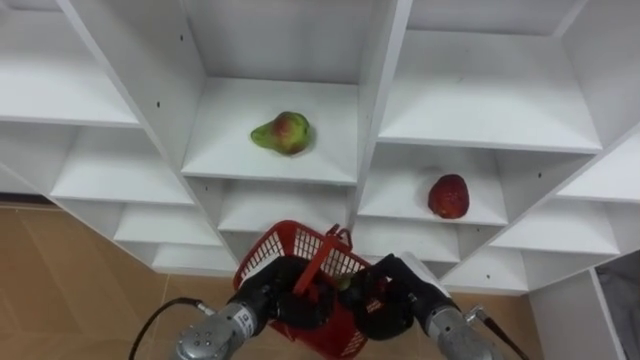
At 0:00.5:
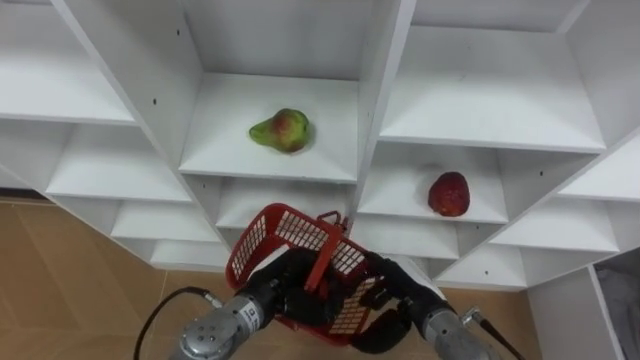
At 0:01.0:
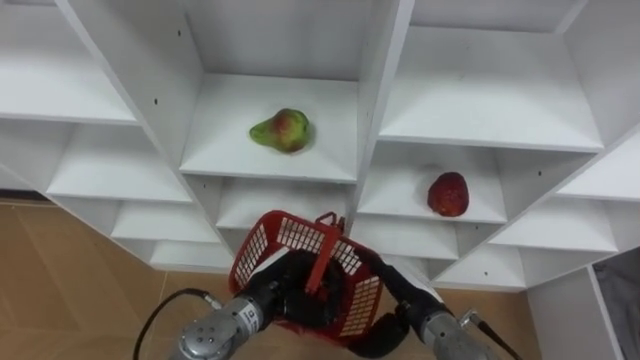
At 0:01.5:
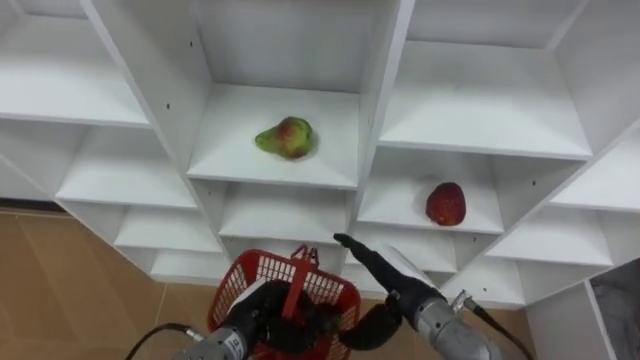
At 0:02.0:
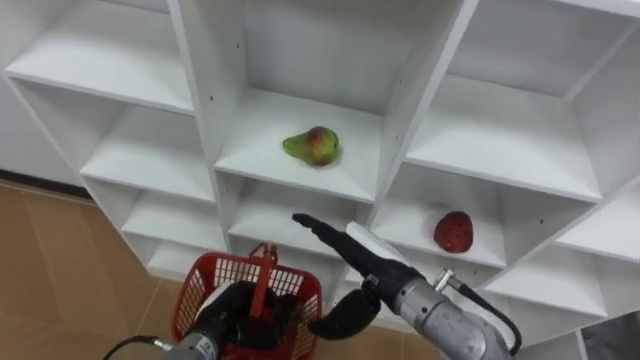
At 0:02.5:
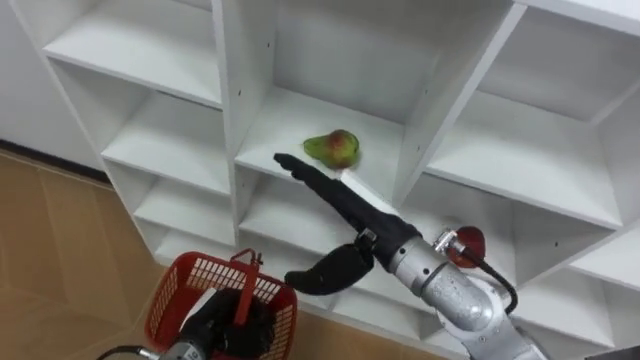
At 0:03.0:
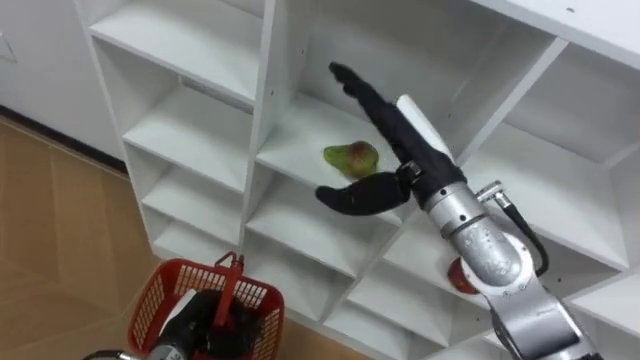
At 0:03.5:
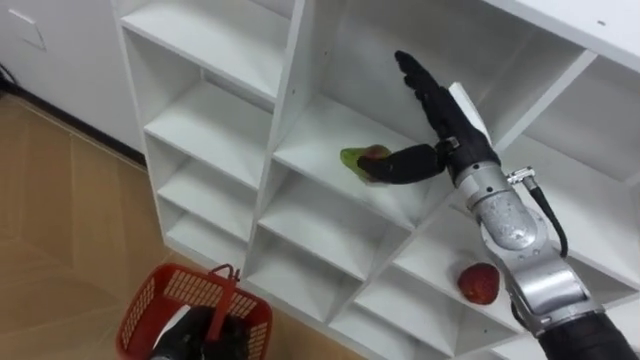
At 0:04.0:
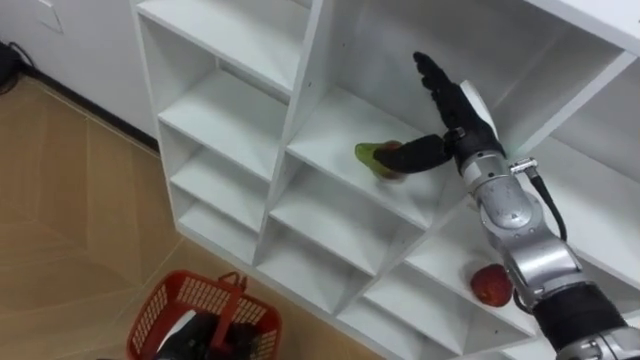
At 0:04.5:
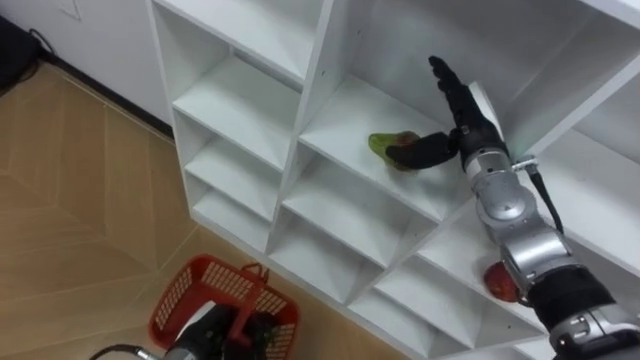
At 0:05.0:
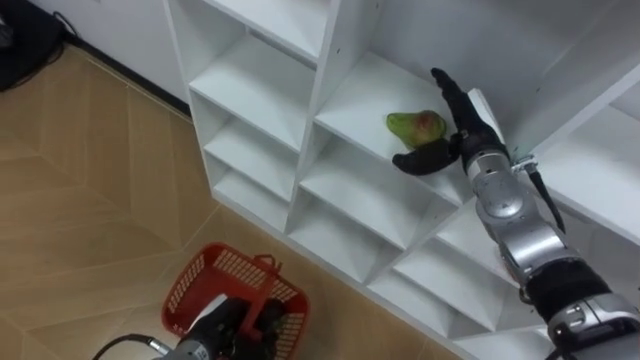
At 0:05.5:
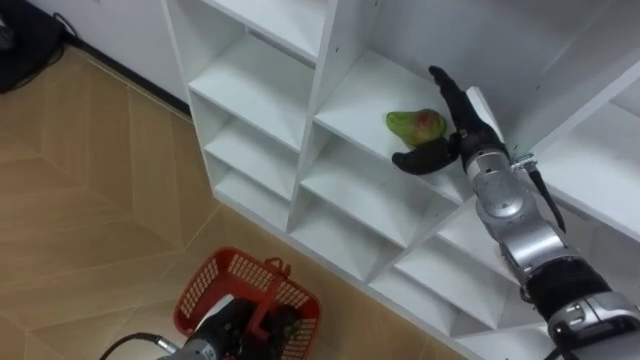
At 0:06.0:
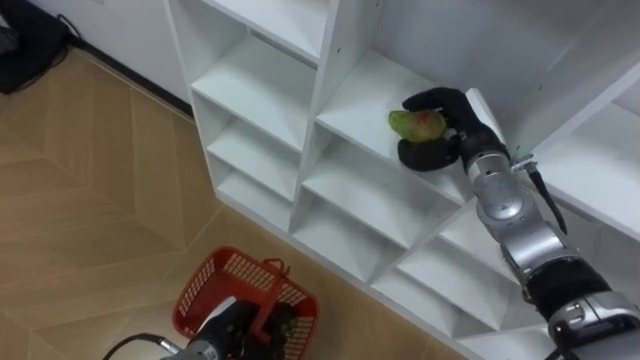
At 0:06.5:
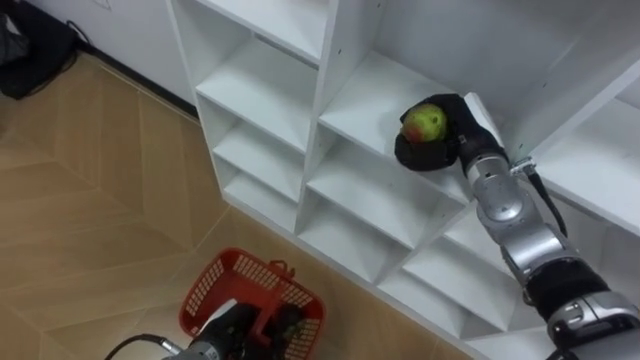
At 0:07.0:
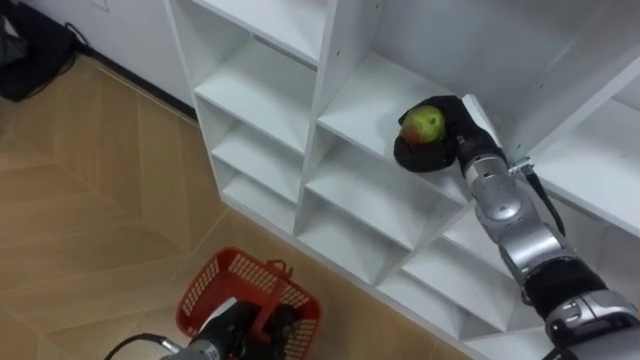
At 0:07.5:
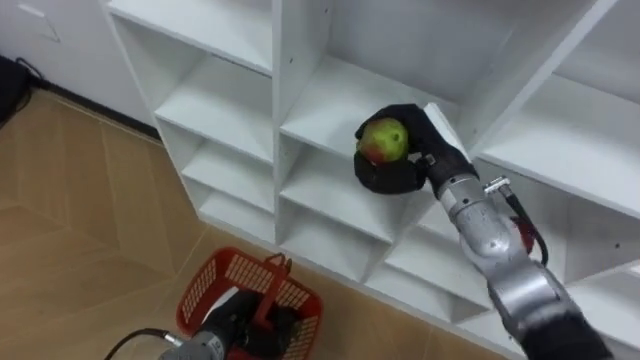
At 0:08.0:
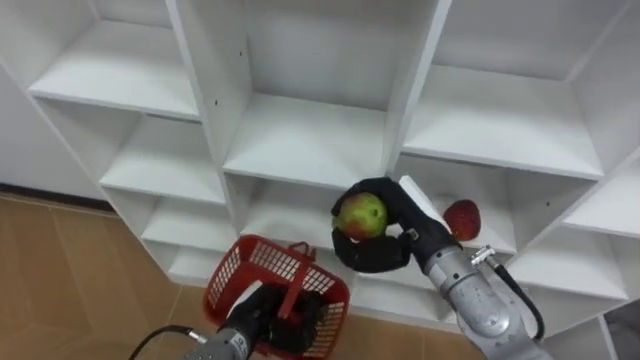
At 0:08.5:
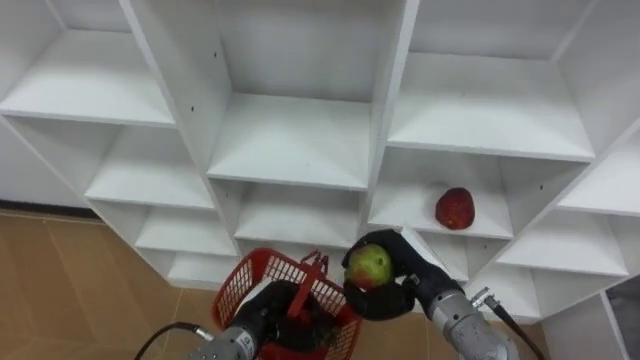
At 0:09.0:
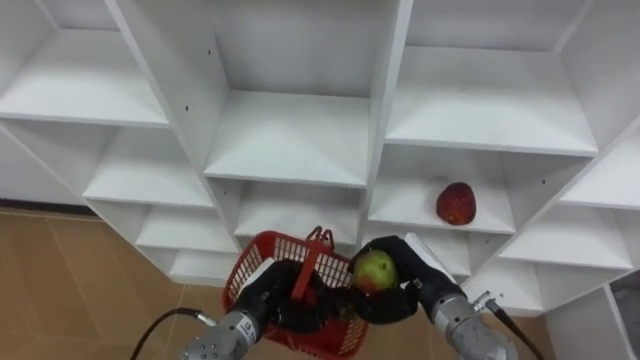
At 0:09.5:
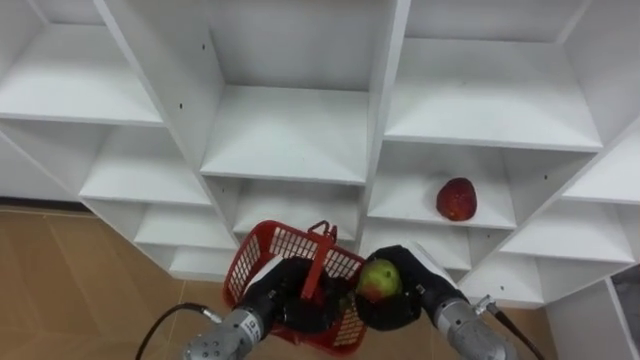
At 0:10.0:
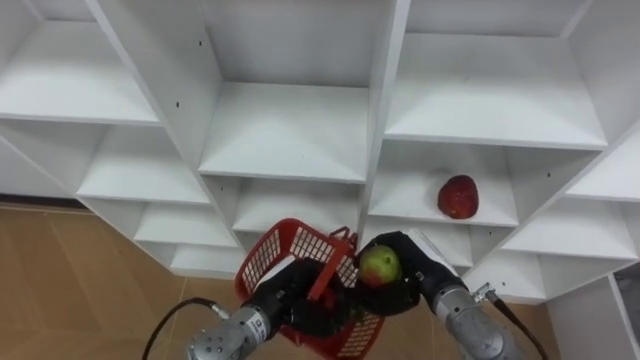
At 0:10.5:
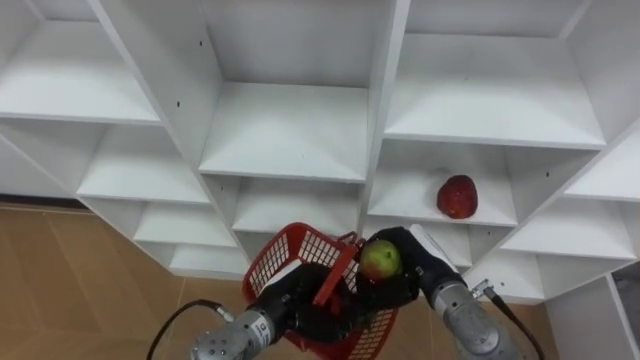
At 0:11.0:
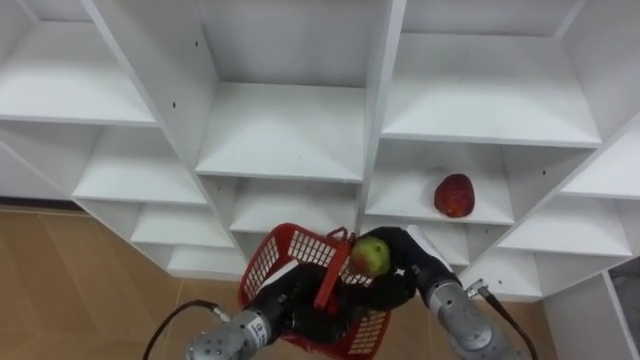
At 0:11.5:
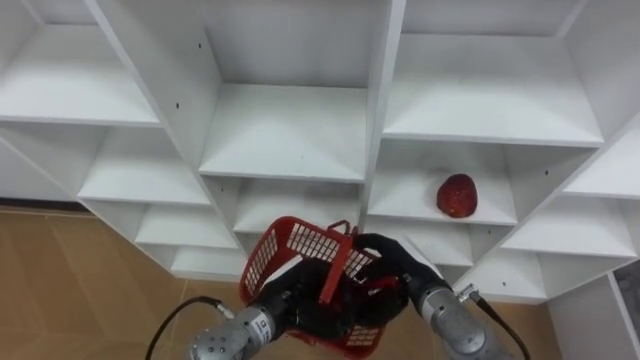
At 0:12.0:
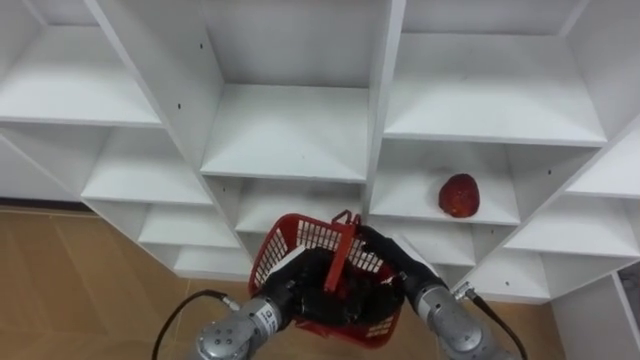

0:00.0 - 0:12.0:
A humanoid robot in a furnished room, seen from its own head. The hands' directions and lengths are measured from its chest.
Task of the whole recording: Hold the basket and collect the fruits from 3 different cells of the closet into it.
0:00.0 - 0:02.0: The left hand is displaced to the left by approximately 5 cm, while the right hand goes roughly 10 cm upward and to the left, and opens.
0:02.0 - 0:04.0: The right hand travels forward, to the right and upward by approximately 20 cm. Meanwhile the left hand travels to the left by roughly 5 cm.
0:04.0 - 0:06.0: The left hand is displaced to the right by about 5 cm, while the right hand closes up.
0:06.0 - 0:08.0: The right hand shifts approximately 15 cm backward and to the left, and closes.
0:08.0 - 0:10.0: The right hand travels downward by about 10 cm. The left hand shifts by roughly 5 cm.
0:10.0 - 0:12.0: The right hand opens up.

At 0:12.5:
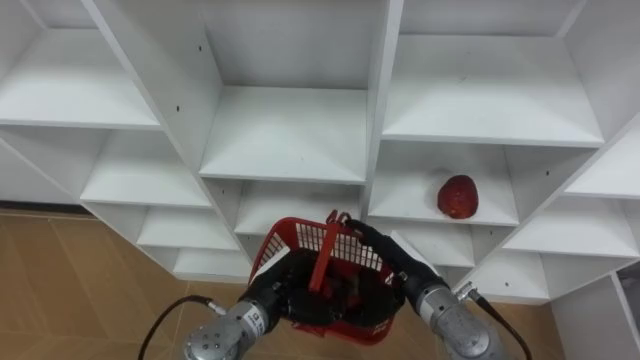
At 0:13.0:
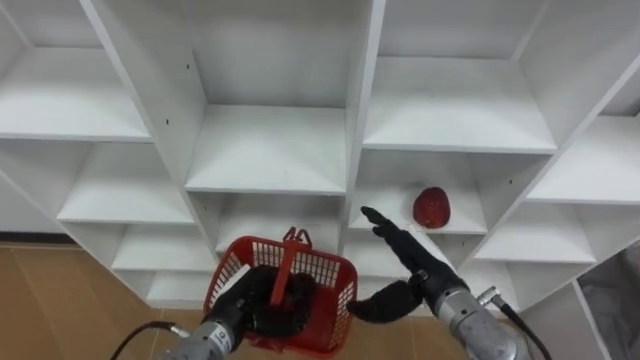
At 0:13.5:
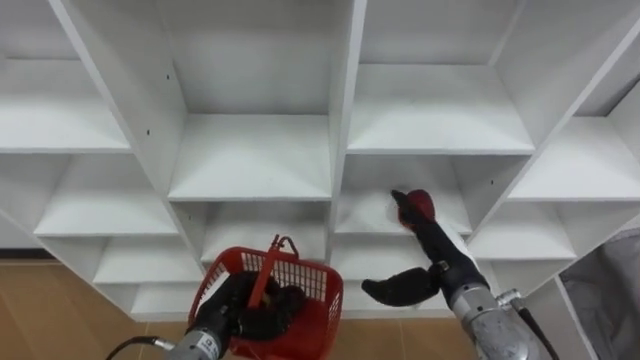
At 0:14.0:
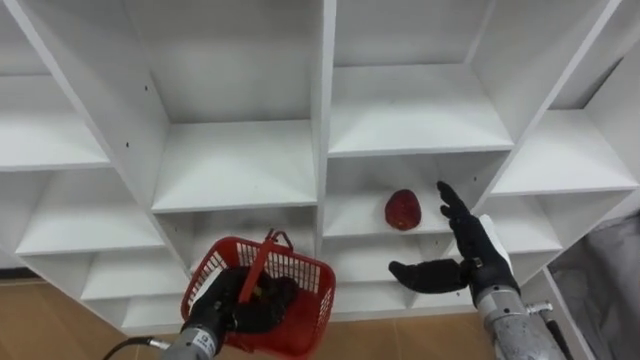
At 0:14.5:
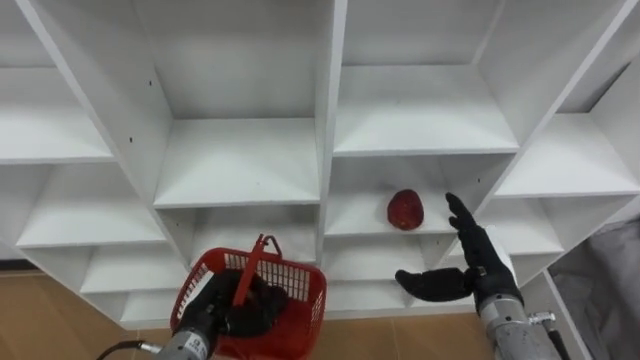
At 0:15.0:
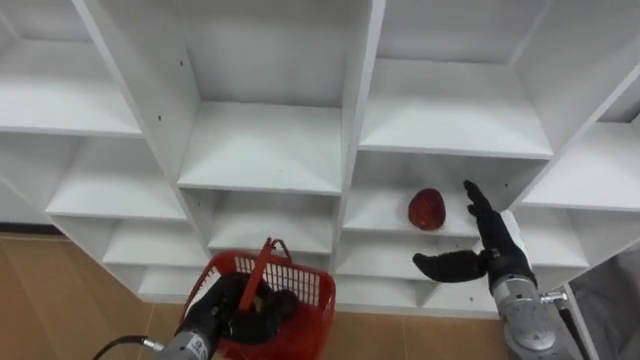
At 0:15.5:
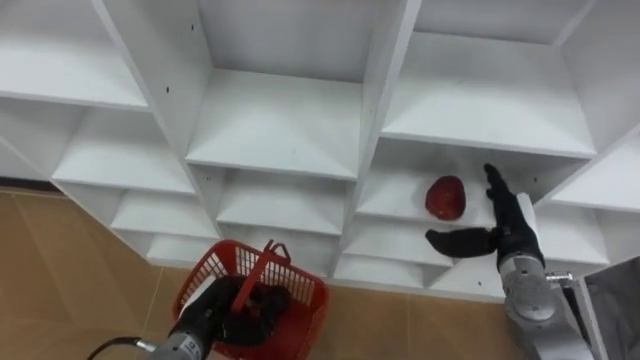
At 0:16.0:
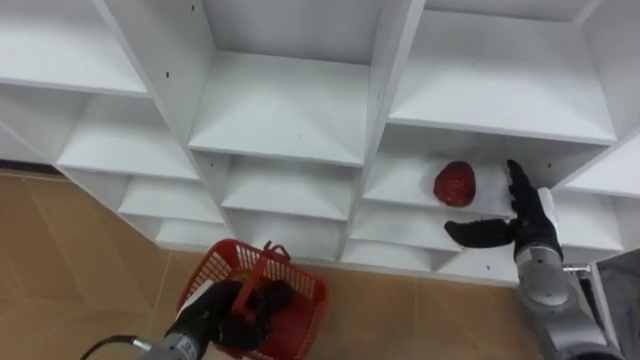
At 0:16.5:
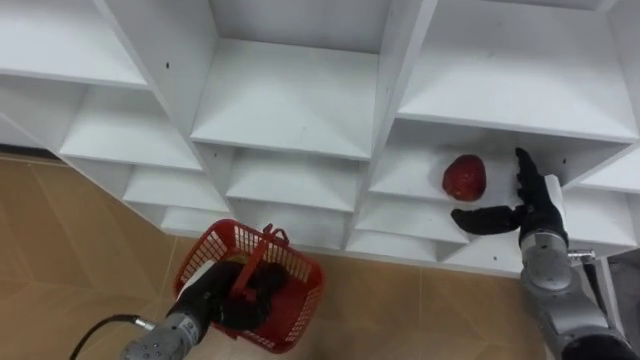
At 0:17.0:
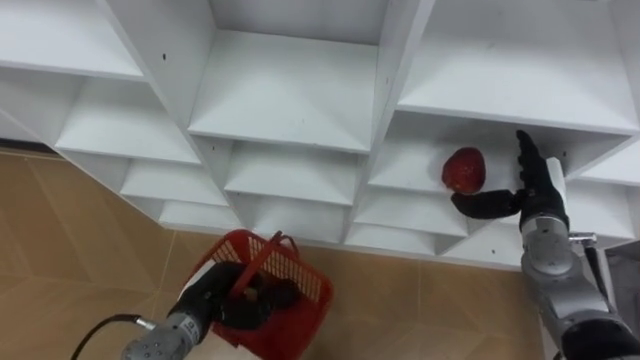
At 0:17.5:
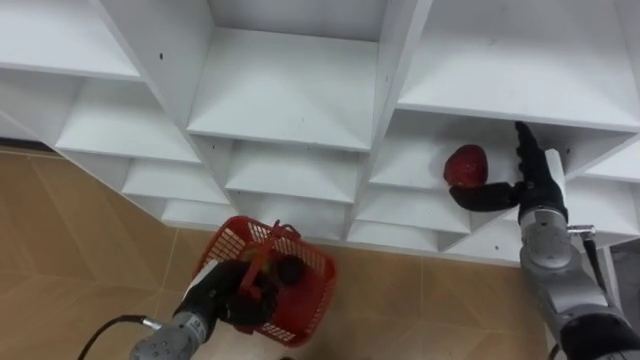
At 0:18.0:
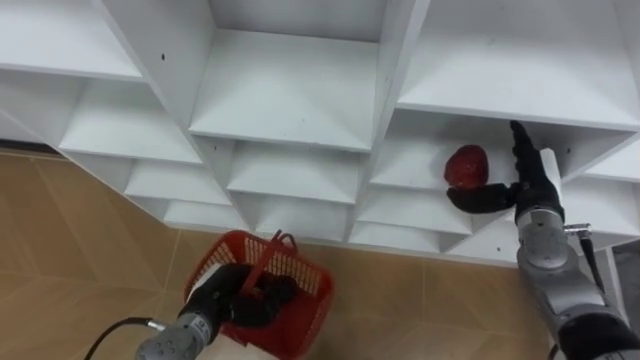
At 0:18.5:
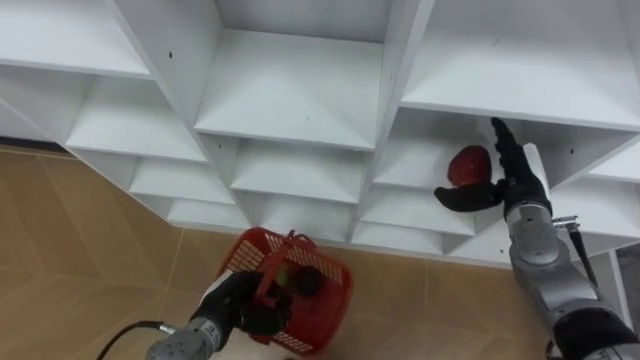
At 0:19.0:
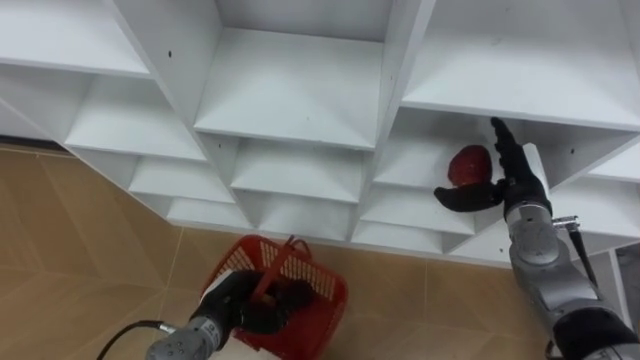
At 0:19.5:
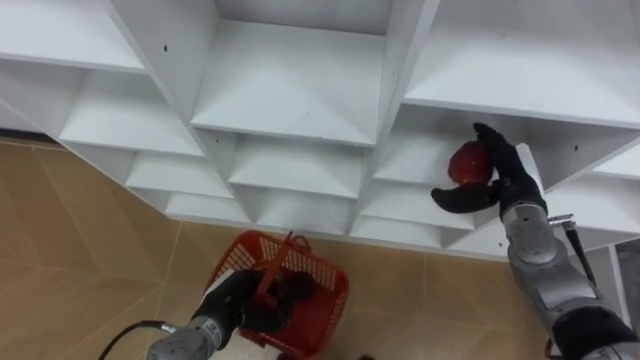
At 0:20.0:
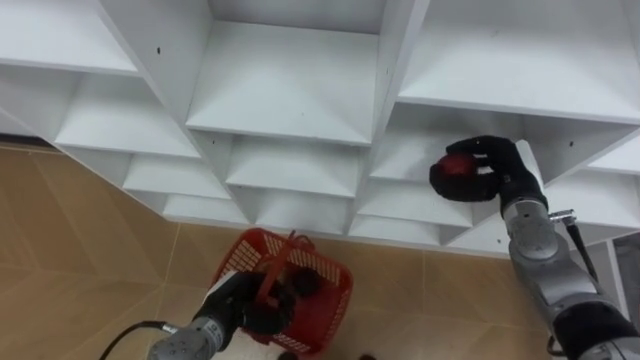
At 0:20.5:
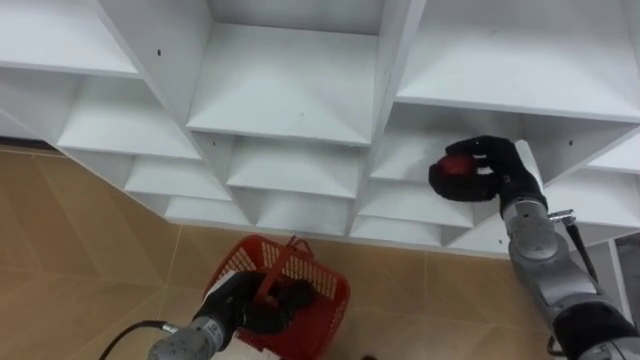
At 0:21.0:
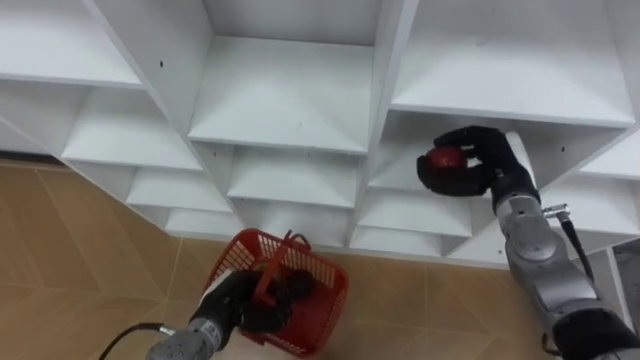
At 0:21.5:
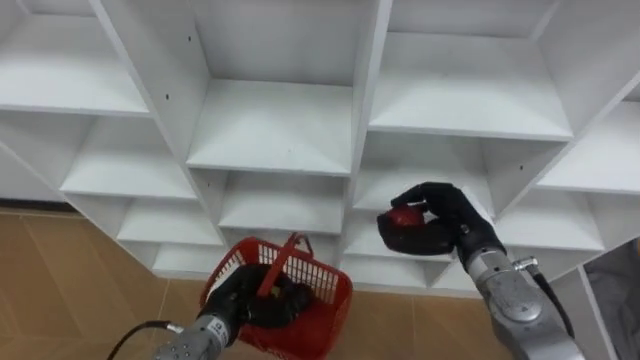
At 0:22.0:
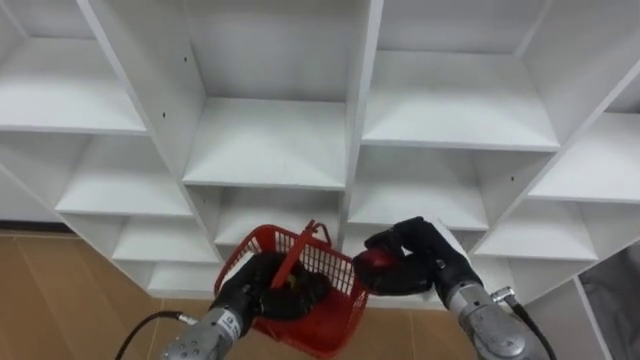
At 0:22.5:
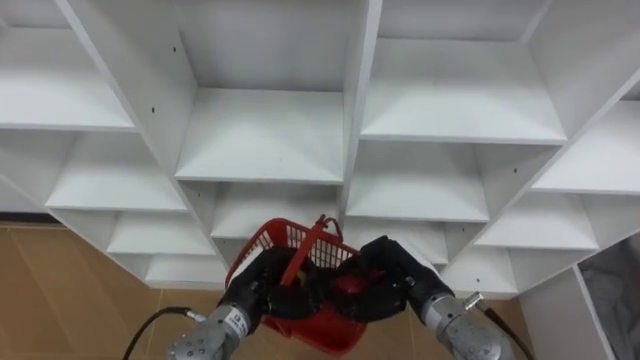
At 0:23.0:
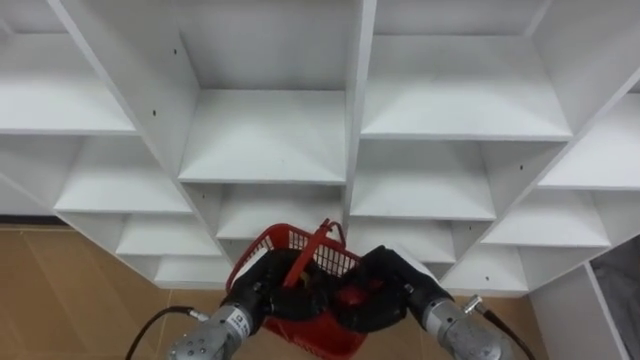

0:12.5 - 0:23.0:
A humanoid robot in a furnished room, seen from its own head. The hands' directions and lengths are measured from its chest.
Task of the whole recording: Hold the basket and collect the fruits from 3 different cells of the closet into it.
0:12.5 - 0:14.5: The left hand goes approximately 10 cm to the left. Meanwhile the right hand moves to the right, about 10 cm.
0:14.5 - 0:16.5: The right hand shifts approximately 10 cm to the right and forward.
0:19.0 - 0:21.0: The right hand closes its fingers.
0:21.0 - 0:23.0: The left hand moves roughly 5 cm, while the right hand travels to the left, backward and downward by about 20 cm.
